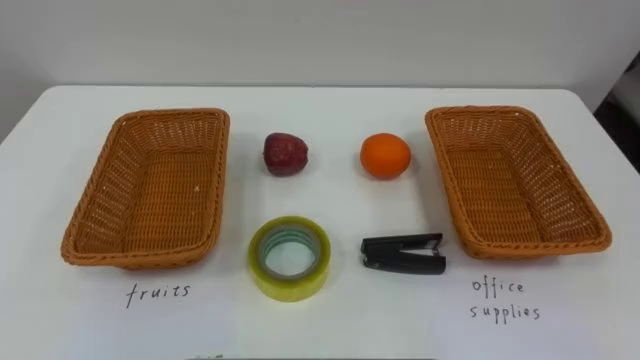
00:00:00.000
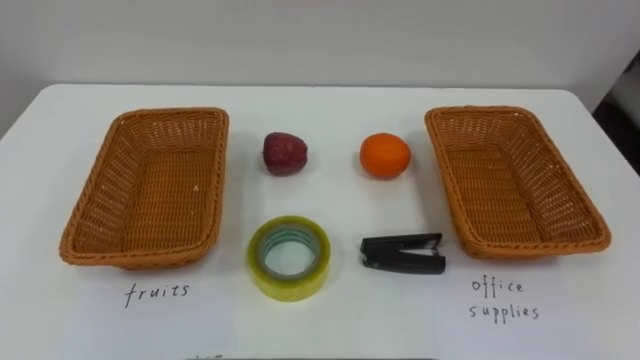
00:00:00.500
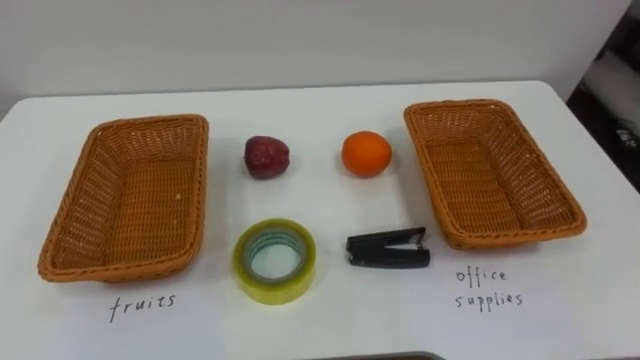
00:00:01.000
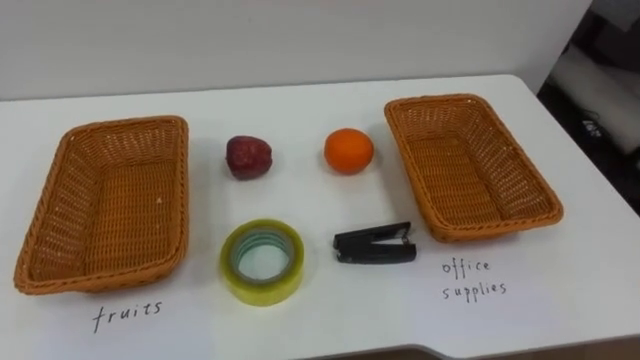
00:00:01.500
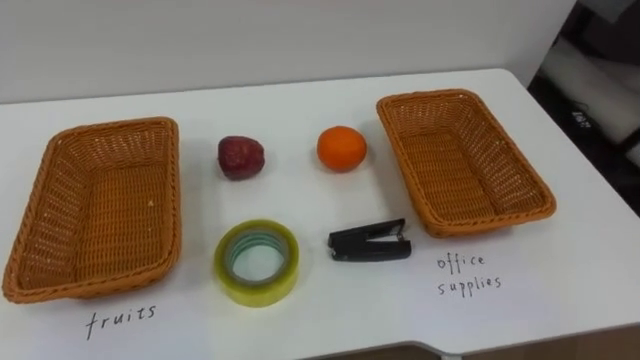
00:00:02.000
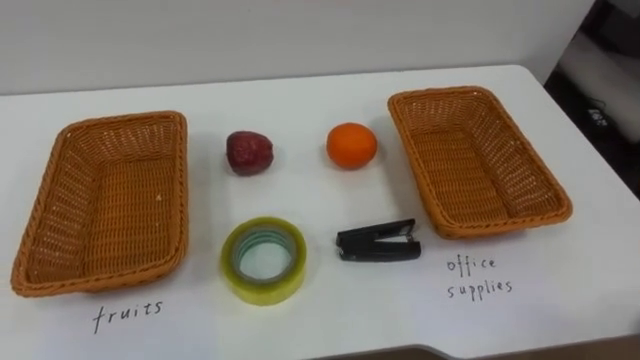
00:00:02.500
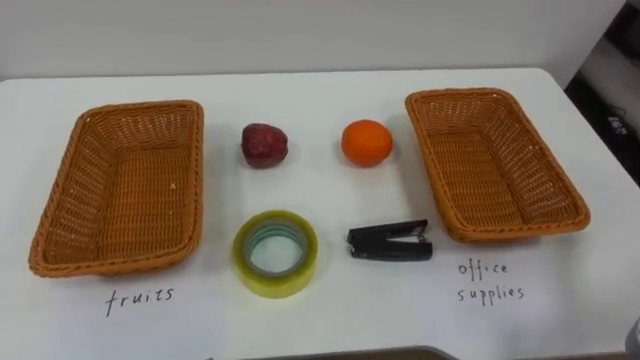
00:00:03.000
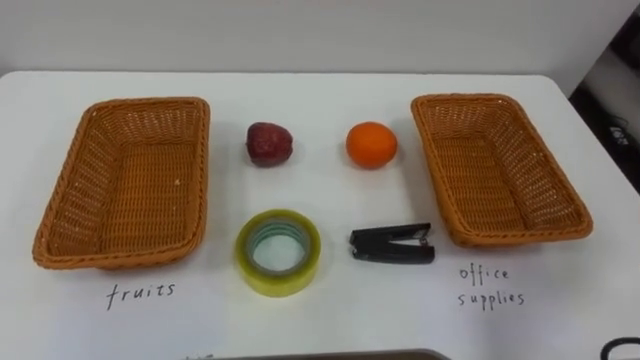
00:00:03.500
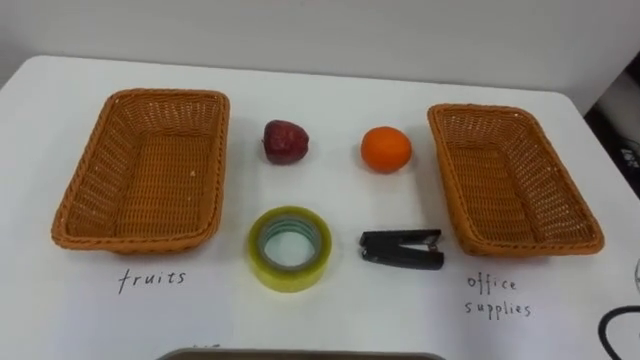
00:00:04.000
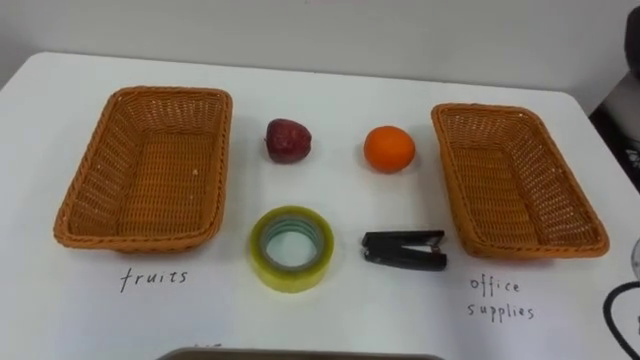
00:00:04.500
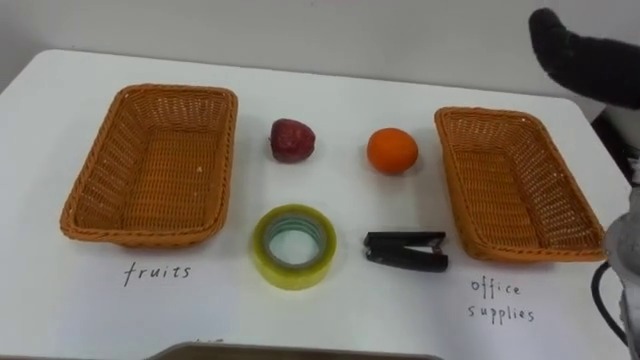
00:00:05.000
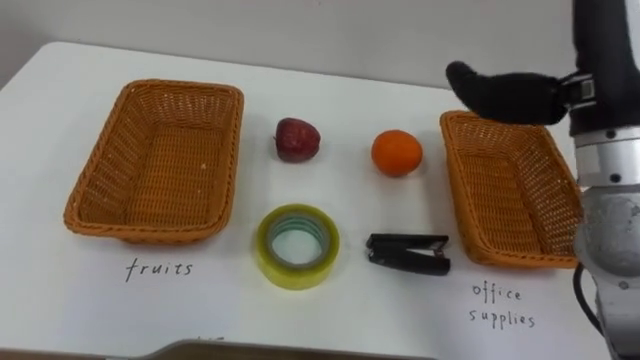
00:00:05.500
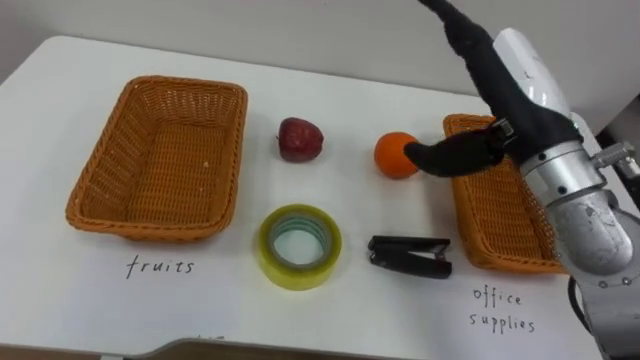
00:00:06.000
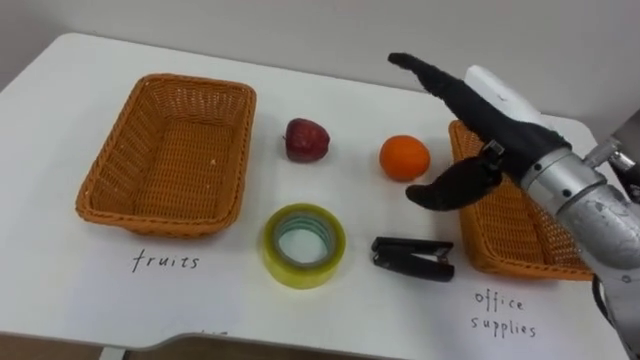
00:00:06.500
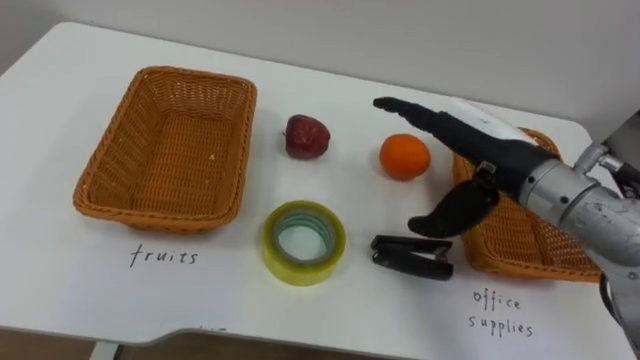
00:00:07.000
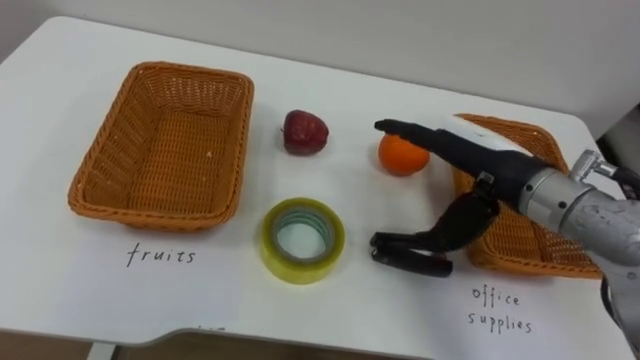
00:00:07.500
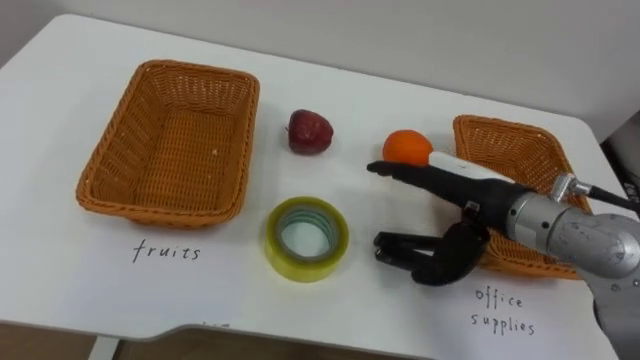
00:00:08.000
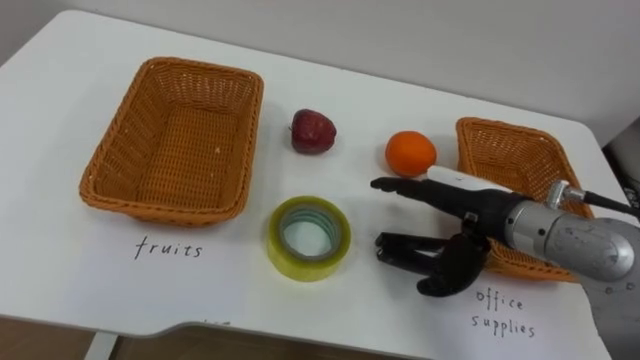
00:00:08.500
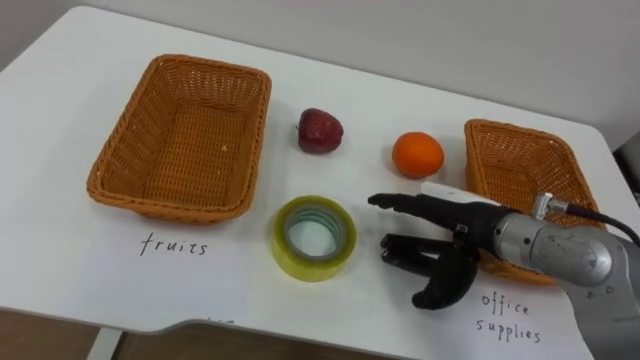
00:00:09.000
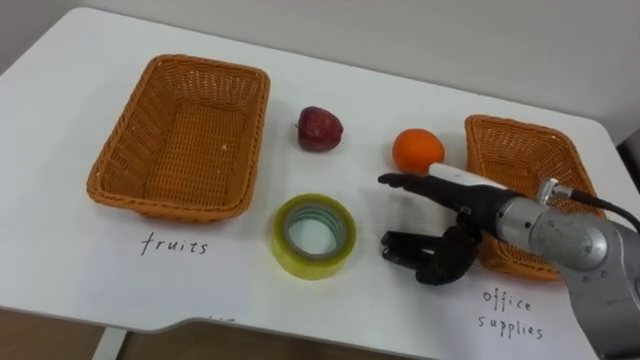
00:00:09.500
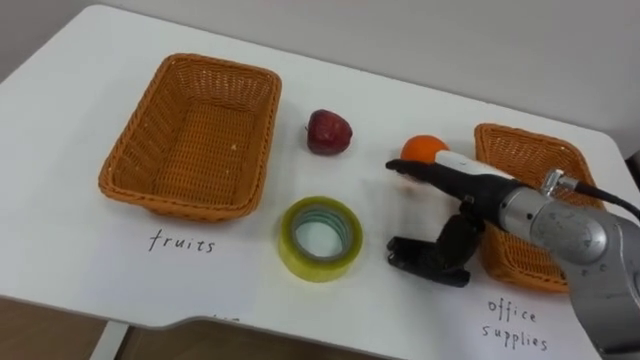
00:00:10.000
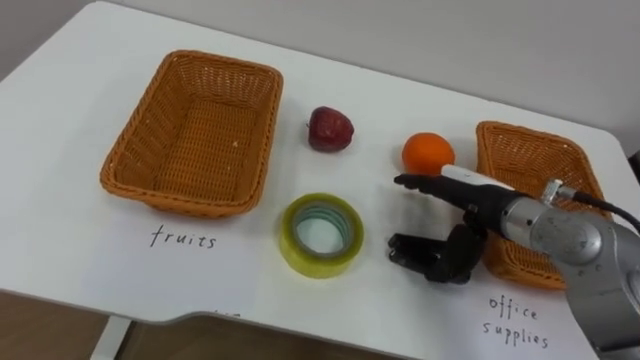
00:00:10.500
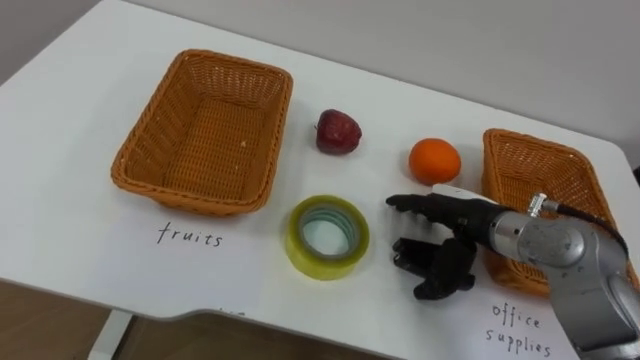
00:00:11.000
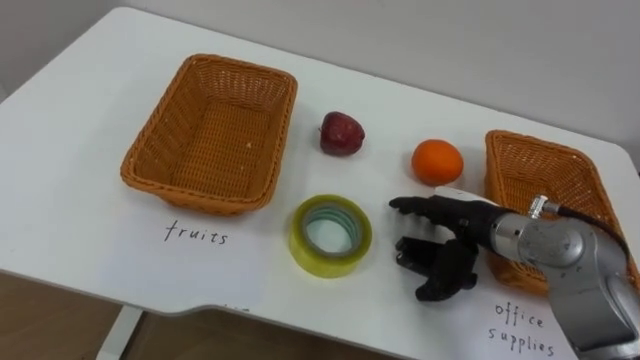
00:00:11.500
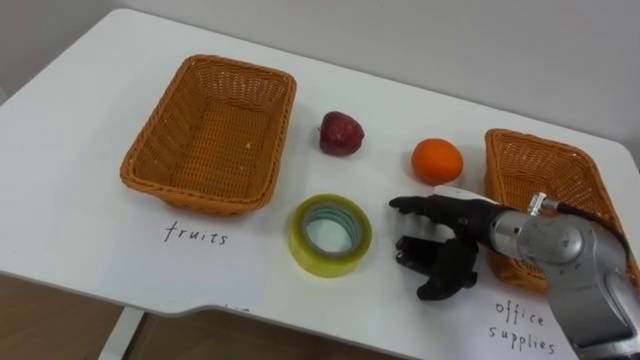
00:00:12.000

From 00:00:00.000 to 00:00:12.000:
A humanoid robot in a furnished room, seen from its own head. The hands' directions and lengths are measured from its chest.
Task of the whole recording: Separate the items on the table and place them into the two baskets.
From 00:00:06.000 to 00:00:08.000: The right hand shifts some 10 cm downward.
From 00:00:10.000 to 00:00:12.000: The right hand heads downward, covering some 5 cm.

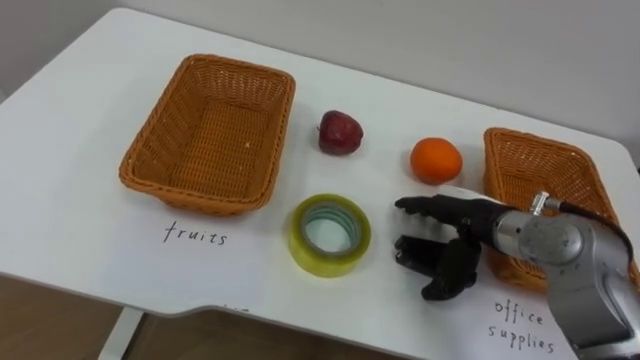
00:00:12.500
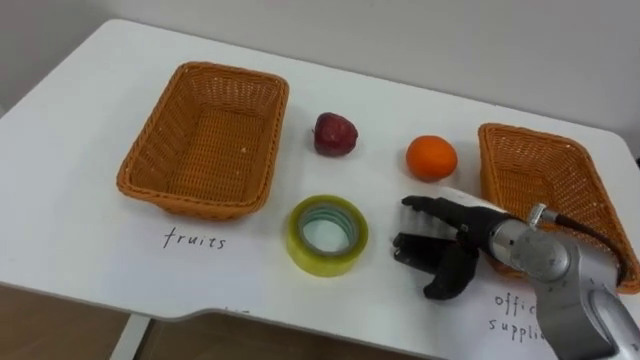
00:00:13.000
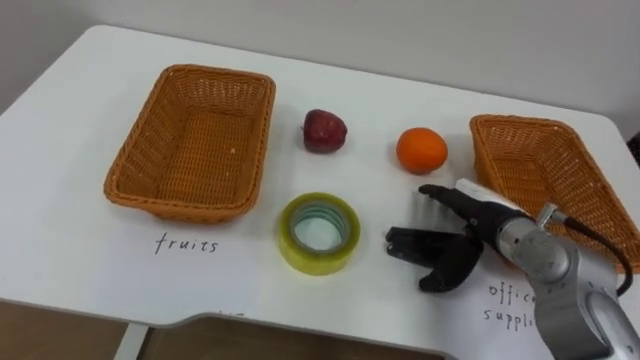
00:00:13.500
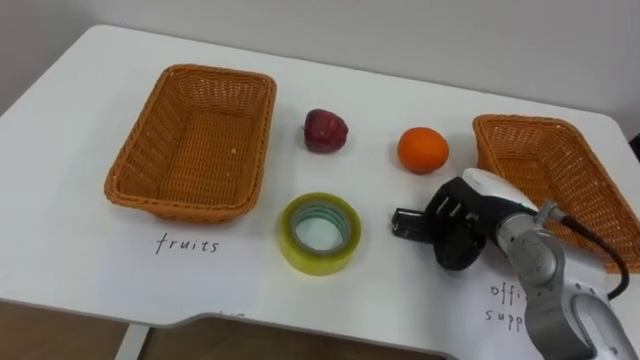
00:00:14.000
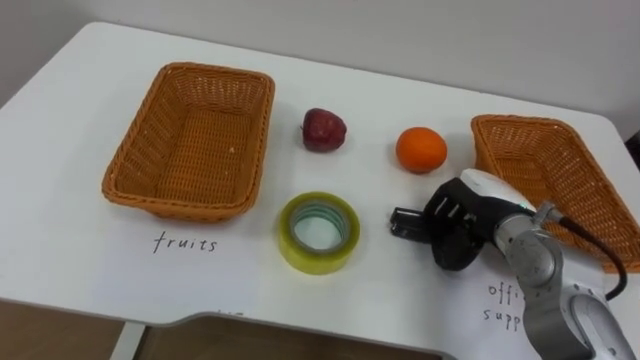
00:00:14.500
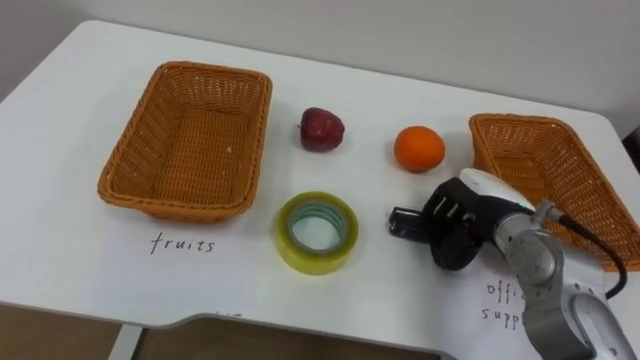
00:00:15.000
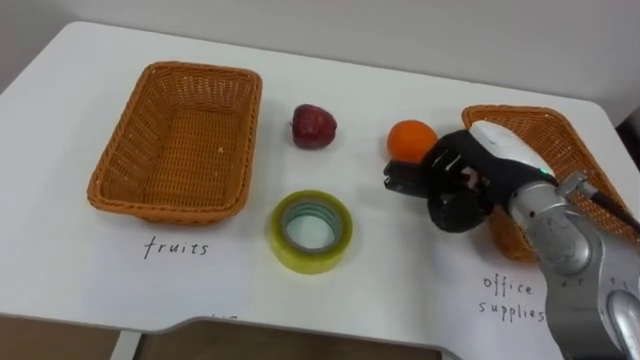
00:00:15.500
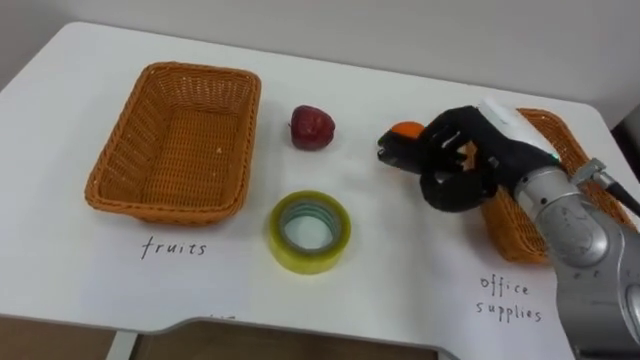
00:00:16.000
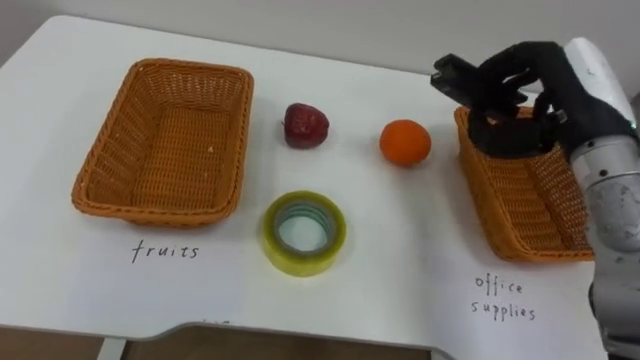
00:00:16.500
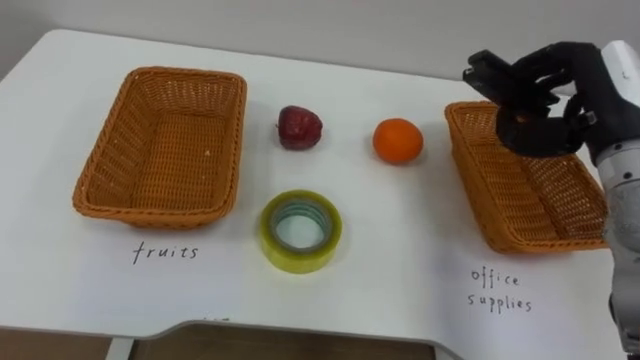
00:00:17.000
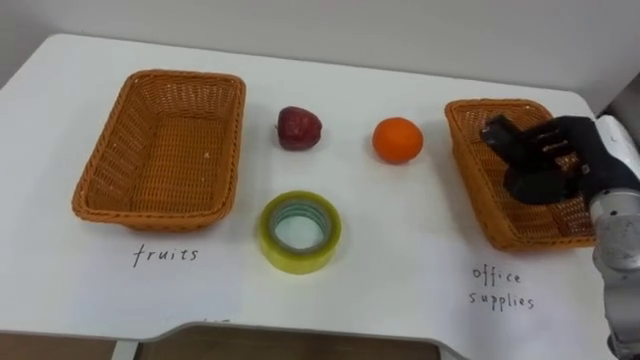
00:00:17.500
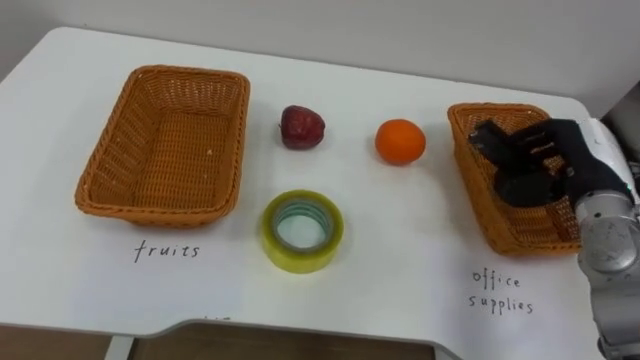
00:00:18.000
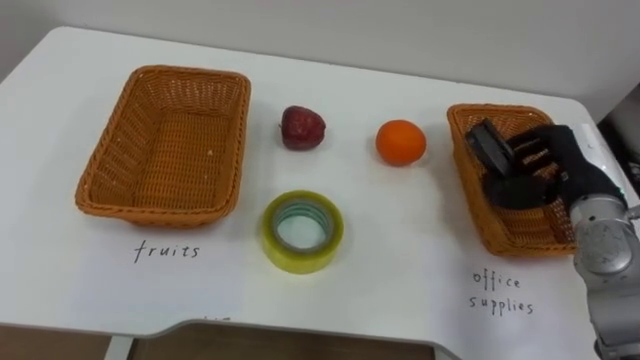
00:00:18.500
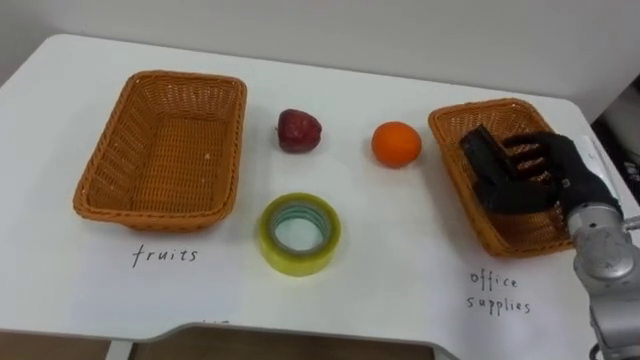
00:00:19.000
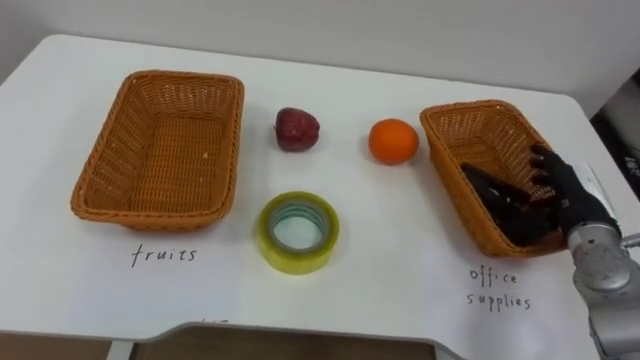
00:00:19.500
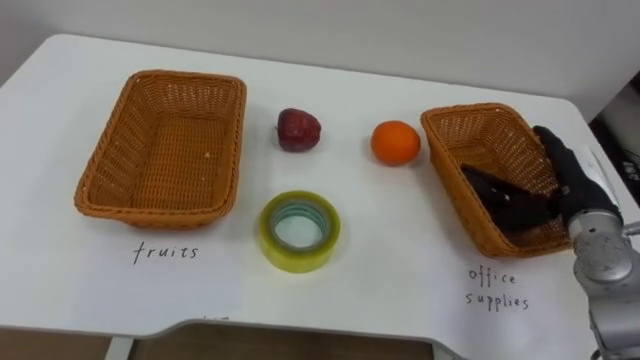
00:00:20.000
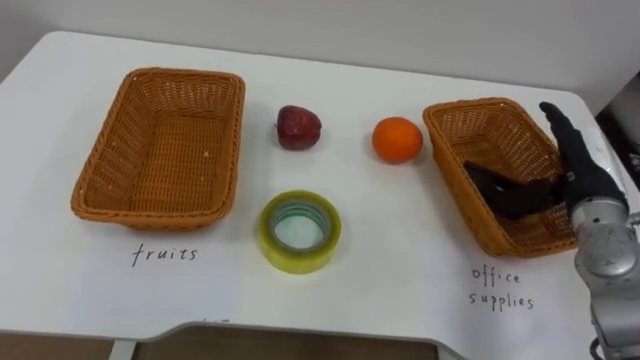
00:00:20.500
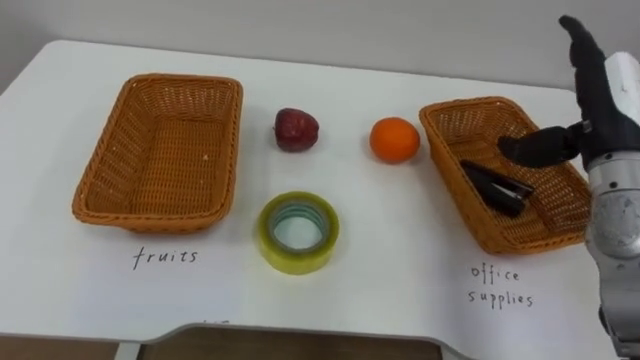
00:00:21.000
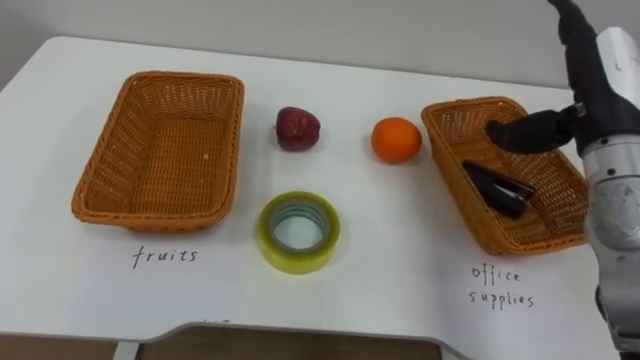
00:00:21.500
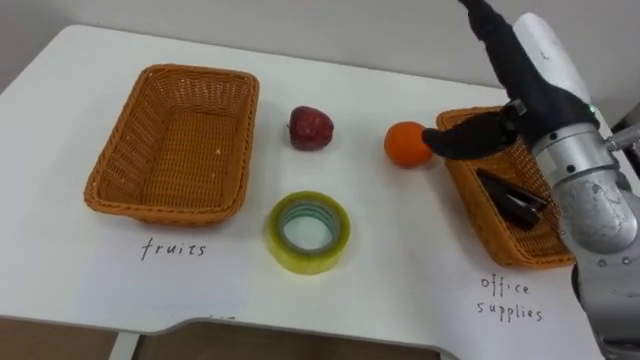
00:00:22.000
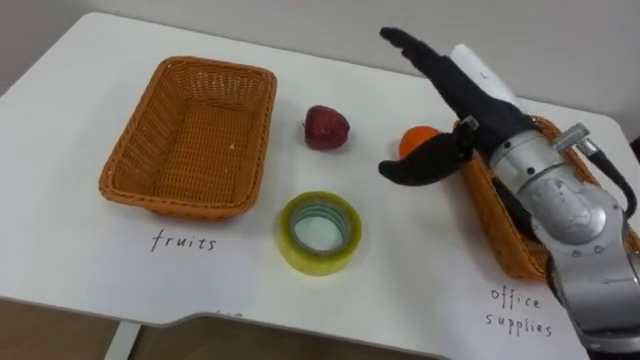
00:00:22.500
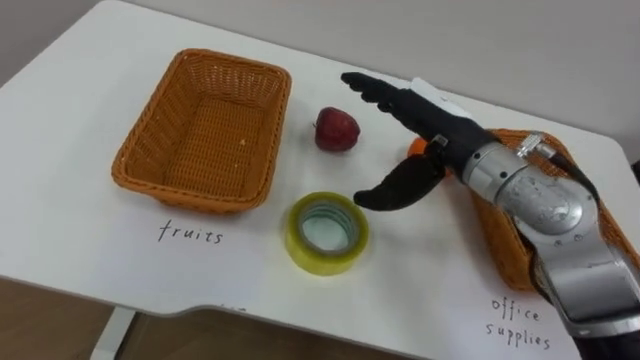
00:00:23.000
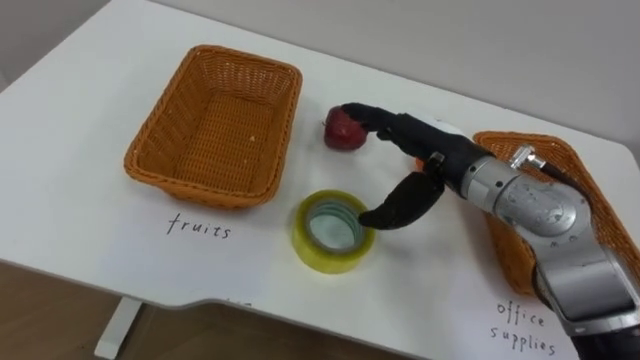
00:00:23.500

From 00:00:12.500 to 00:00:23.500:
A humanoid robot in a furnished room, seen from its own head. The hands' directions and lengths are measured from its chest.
Task of the whole recording: Separate the items on the table and place them into the two baskets.
From 00:00:12.500 to 00:00:14.500: The right hand closes its fingers.
From 00:00:14.500 to 00:00:16.000: The right hand heads upward, covering roughly 10 cm.
From 00:00:16.000 to 00:00:18.000: The right hand heads to the right, covering approximately 10 cm.
From 00:00:18.000 to 00:00:20.000: The right hand opens.
From 00:00:20.000 to 00:00:21.500: The right hand travels upward by some 15 cm.
From 00:00:21.500 to 00:00:23.500: The right hand heads to the left and downward, covering about 15 cm.
